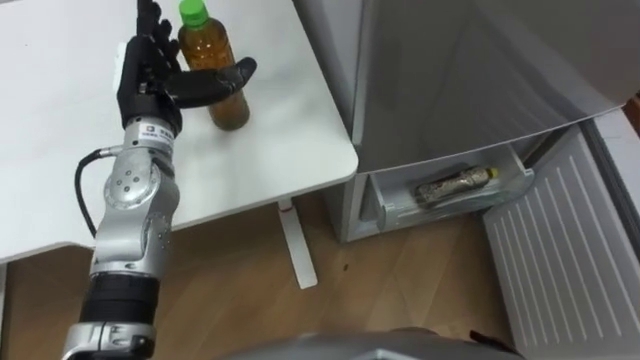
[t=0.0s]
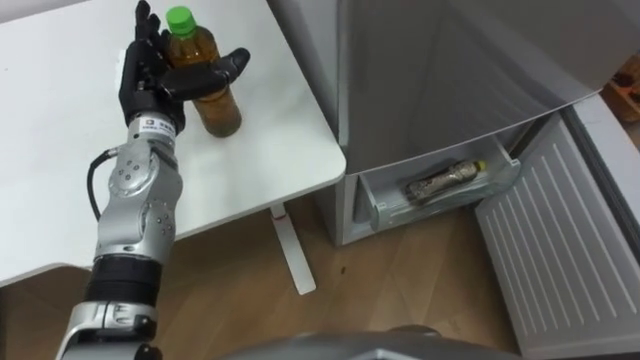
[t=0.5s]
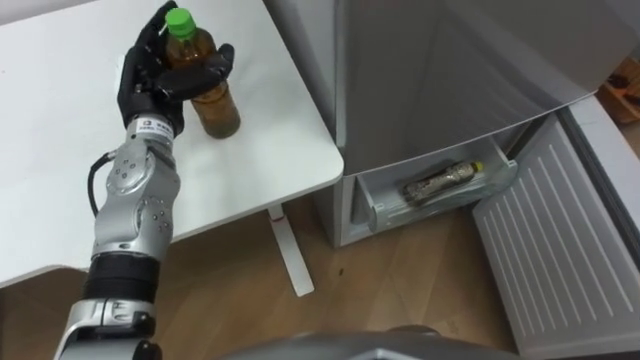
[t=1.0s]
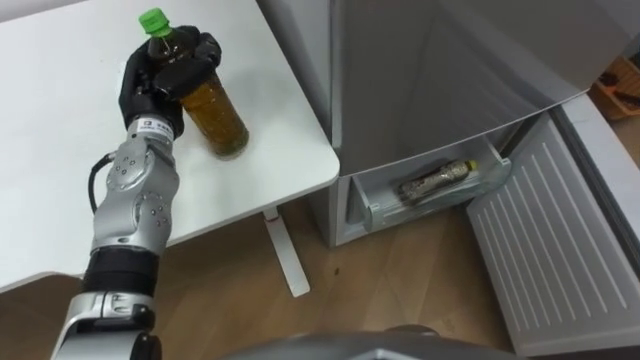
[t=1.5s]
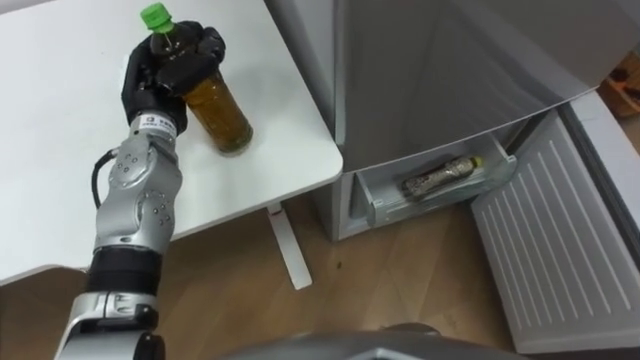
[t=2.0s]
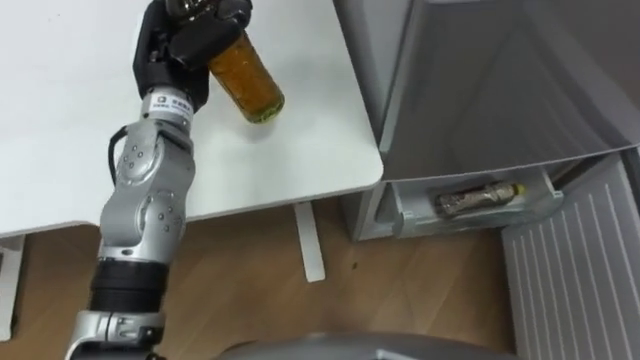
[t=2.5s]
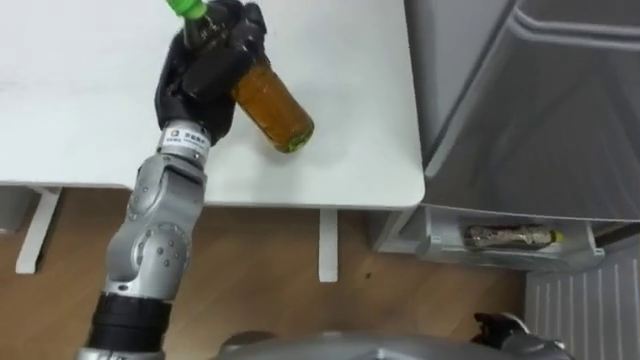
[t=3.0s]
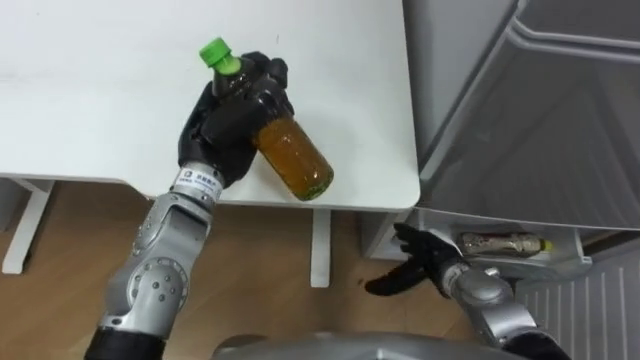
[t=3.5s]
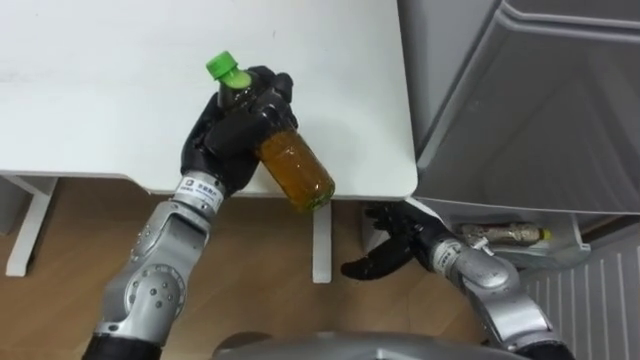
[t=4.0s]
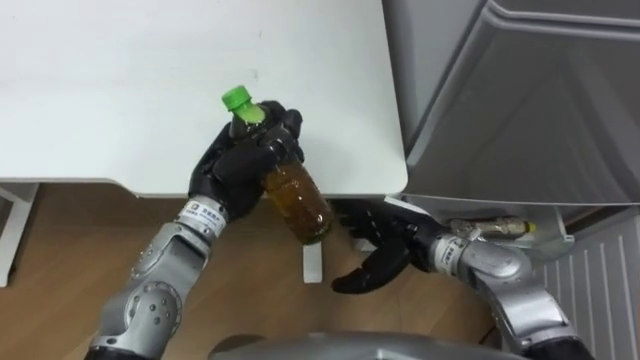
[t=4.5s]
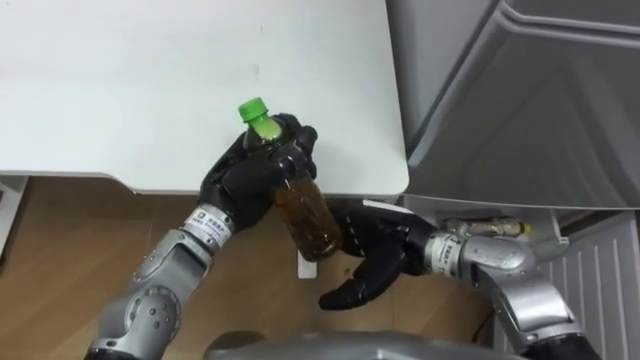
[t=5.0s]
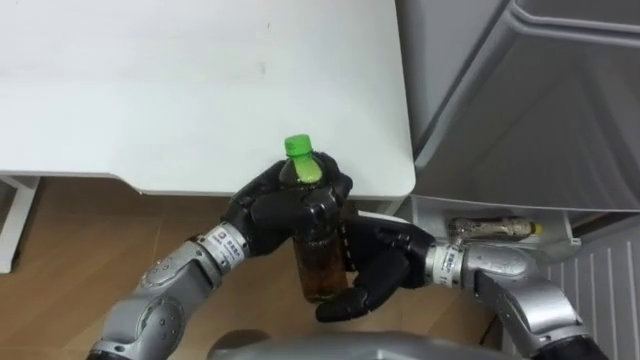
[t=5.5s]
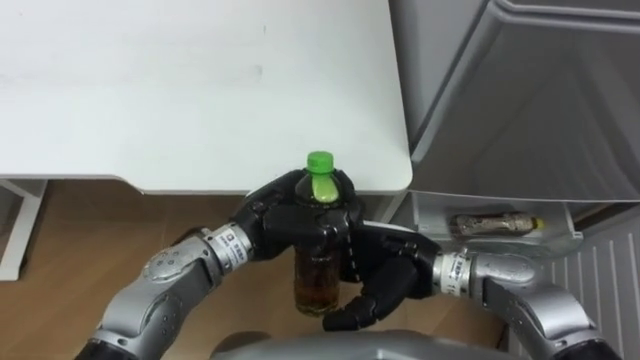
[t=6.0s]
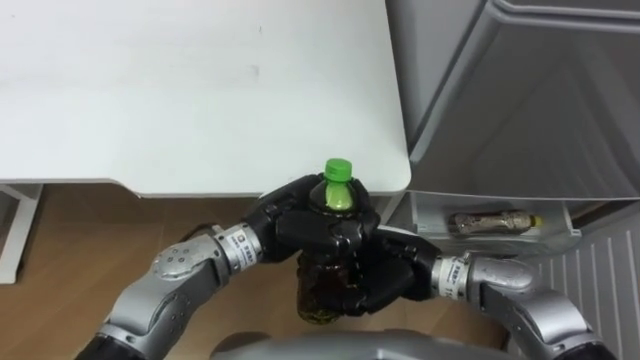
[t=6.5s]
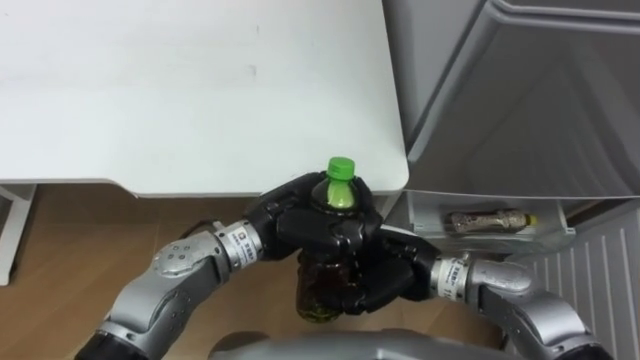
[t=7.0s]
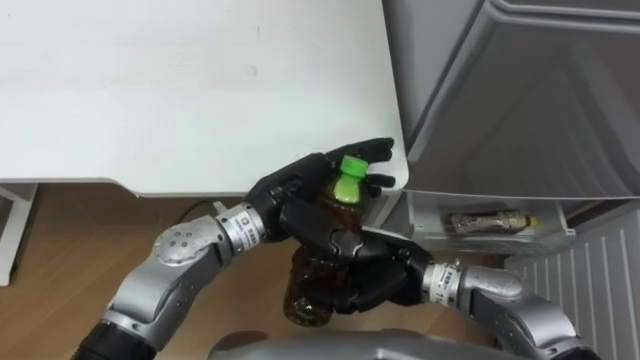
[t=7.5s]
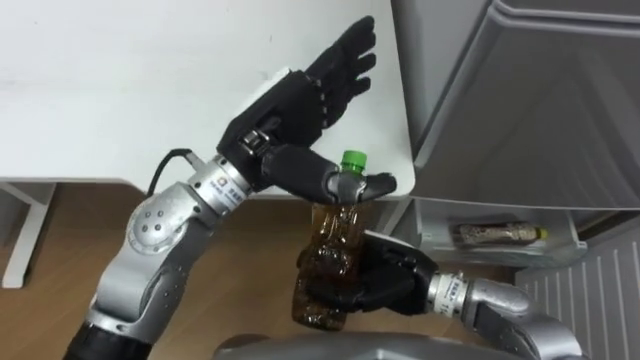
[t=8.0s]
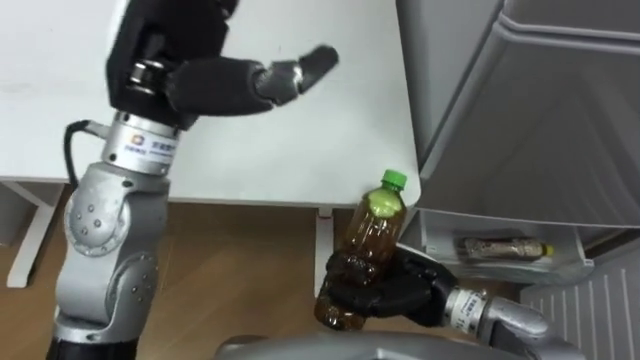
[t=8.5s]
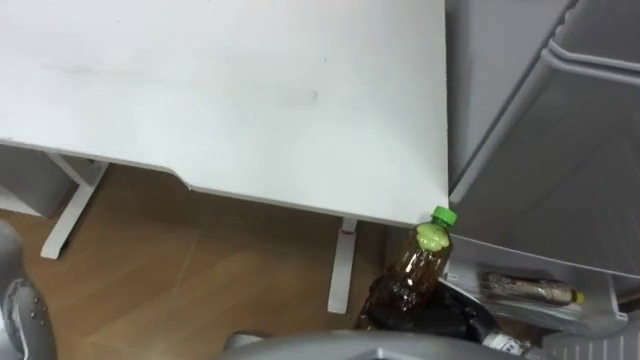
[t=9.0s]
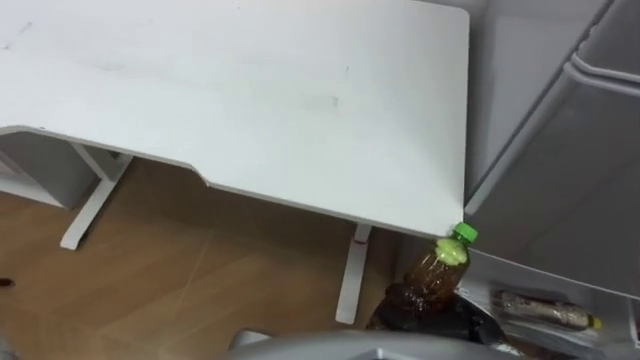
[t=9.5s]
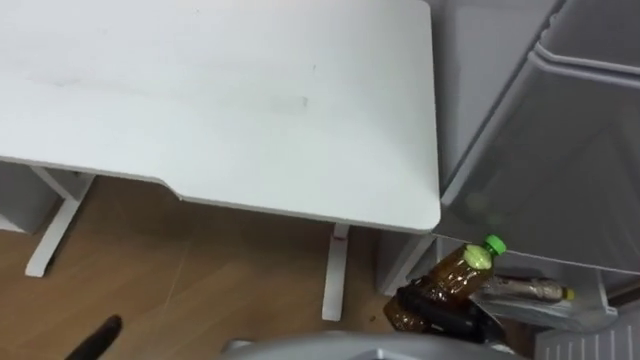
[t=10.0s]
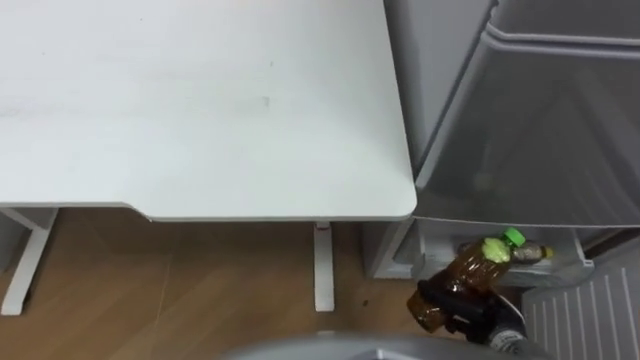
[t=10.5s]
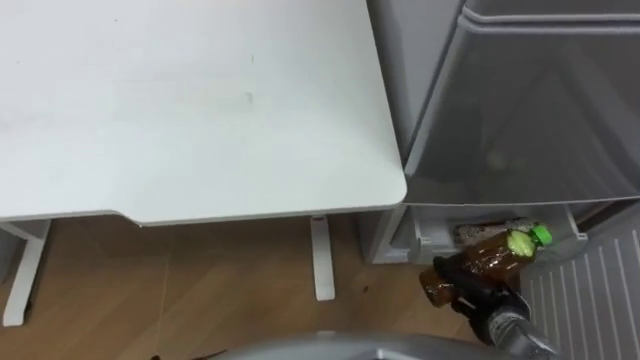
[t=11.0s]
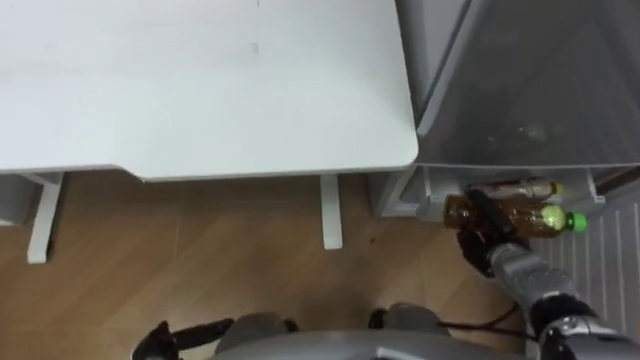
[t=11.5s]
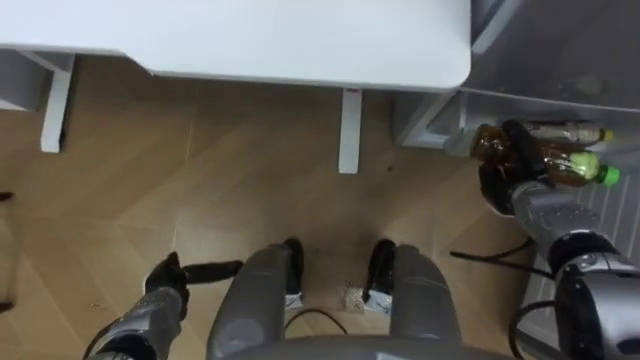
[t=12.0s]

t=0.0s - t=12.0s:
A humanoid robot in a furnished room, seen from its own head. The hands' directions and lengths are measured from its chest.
Task of the whole recording: Place the drink on the table on the bottom shelf of the refrigerator, then close the drawer and the refrigerator door.
t=0.0s - t=2.0s: The left hand closes up.
t=2.0s - t=4.0s: The left hand goes approximately 10 cm to the right and backward.
t=4.0s - t=6.0s: The right hand moves upward and to the left, some 5 cm; the left hand heads backward, to the right and downward, covering approximately 10 cm.
t=6.0s - t=8.0s: The right hand closes up. Meanwhile the left hand heads upward, covering roughly 10 cm, and opens up.
t=8.0s - t=10.0s: The right hand shifts about 20 cm to the right, downward and backward.
t=10.0s - t=12.0s: The right hand is displaced forward and to the right by approximately 20 cm.

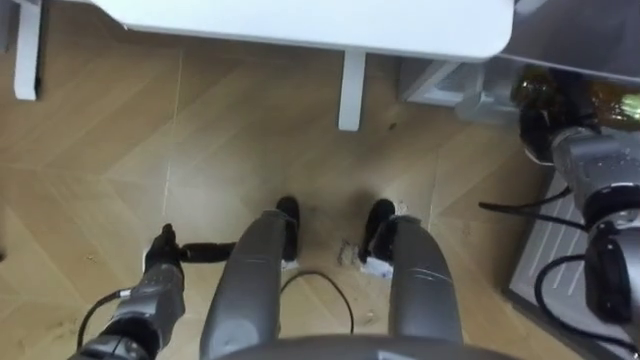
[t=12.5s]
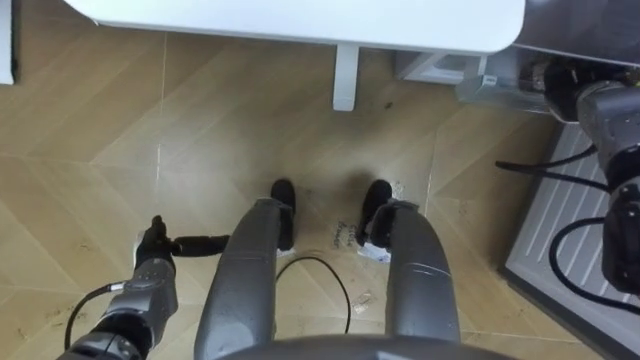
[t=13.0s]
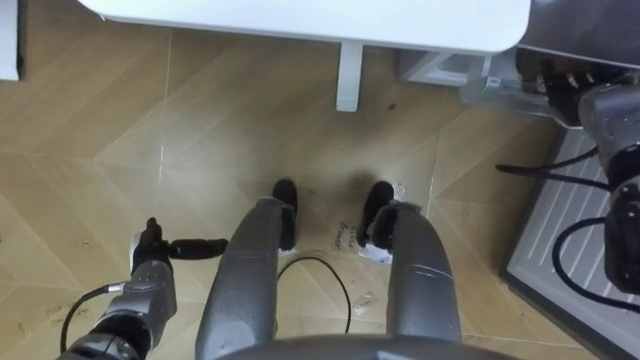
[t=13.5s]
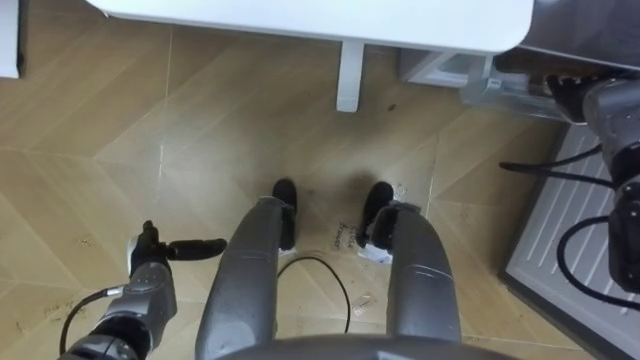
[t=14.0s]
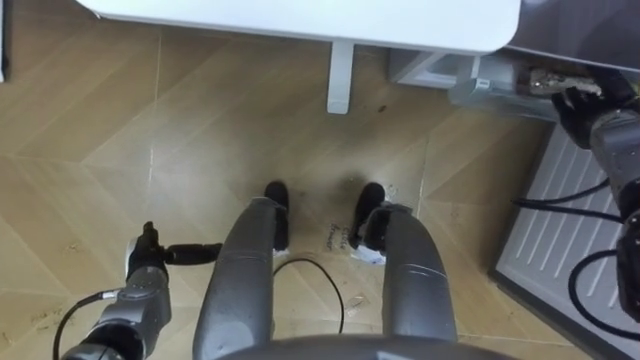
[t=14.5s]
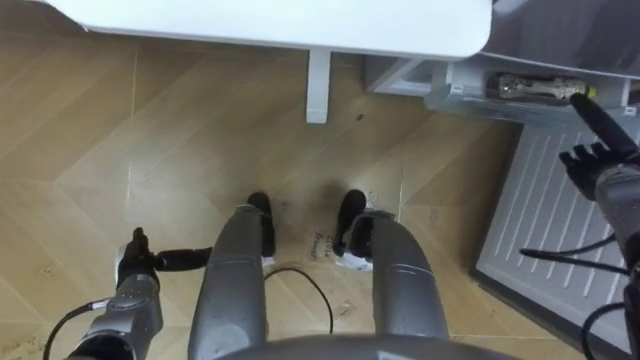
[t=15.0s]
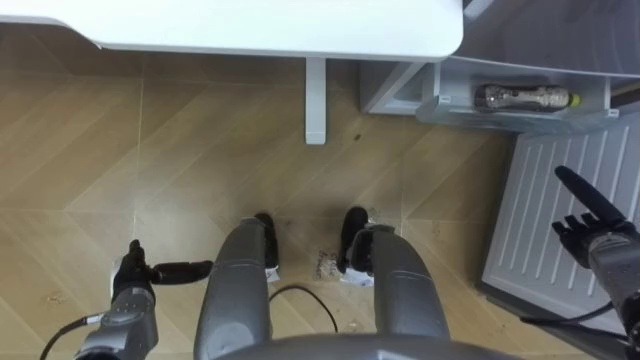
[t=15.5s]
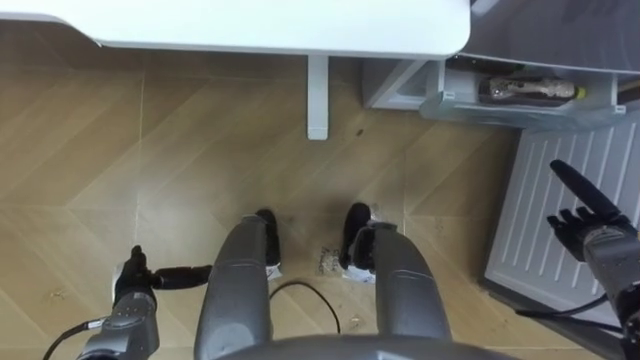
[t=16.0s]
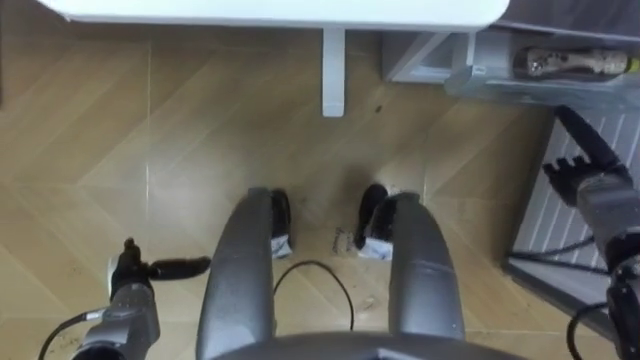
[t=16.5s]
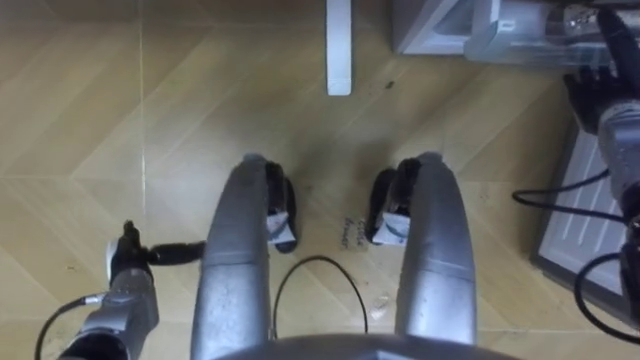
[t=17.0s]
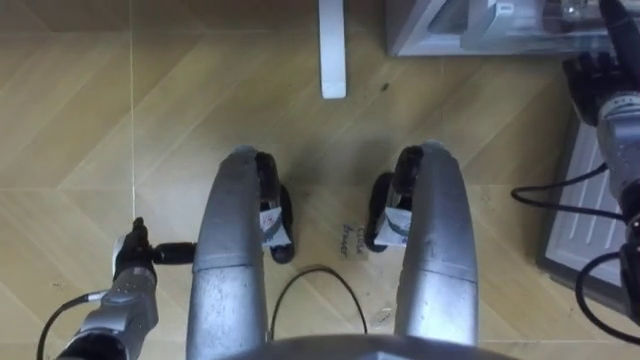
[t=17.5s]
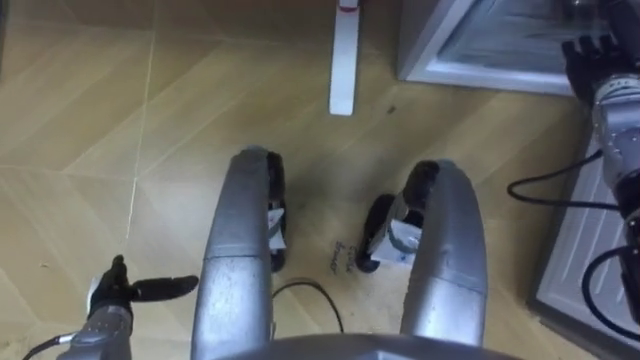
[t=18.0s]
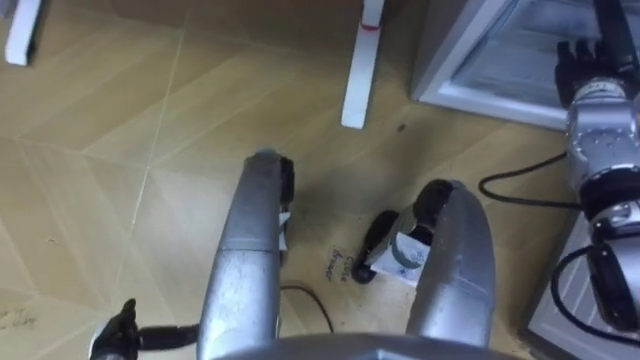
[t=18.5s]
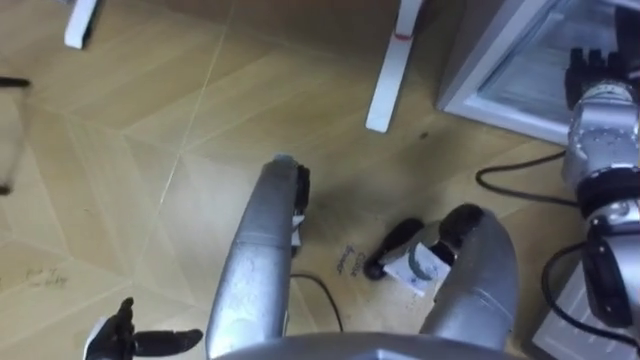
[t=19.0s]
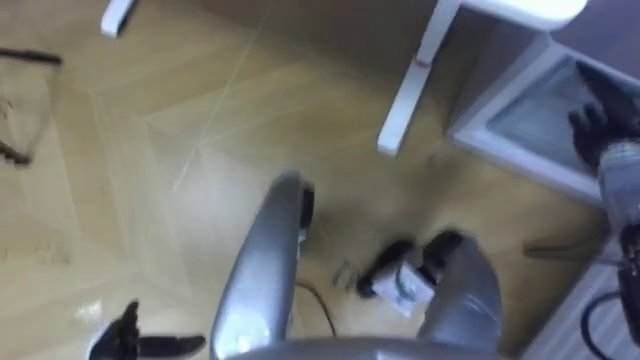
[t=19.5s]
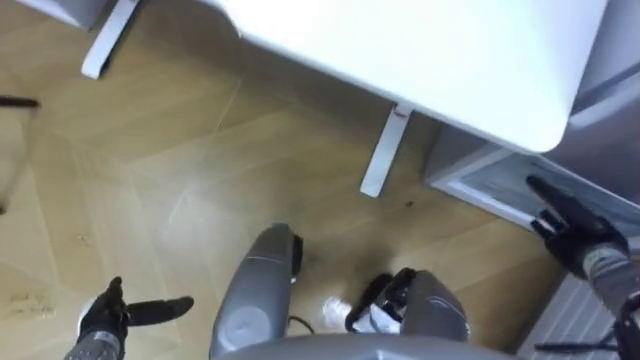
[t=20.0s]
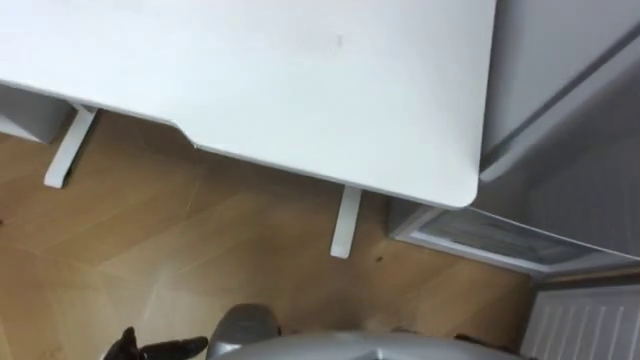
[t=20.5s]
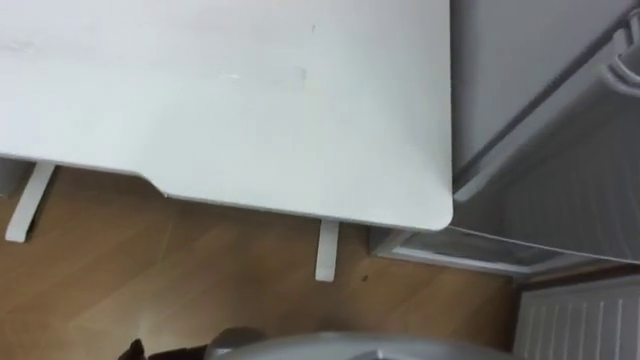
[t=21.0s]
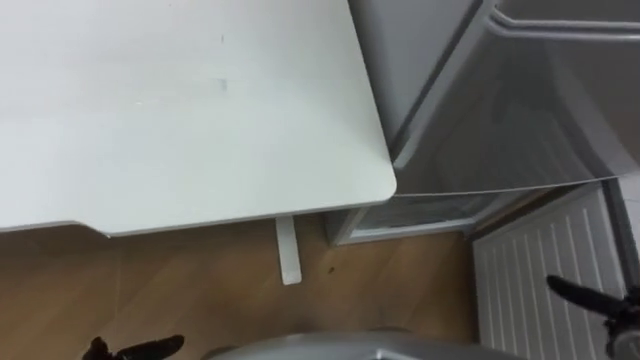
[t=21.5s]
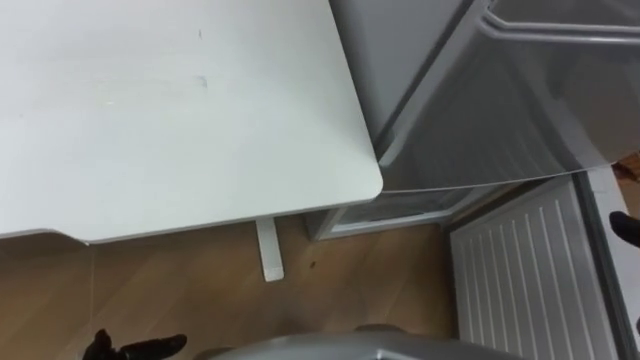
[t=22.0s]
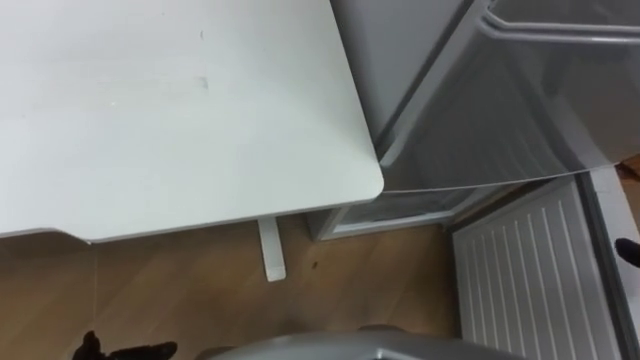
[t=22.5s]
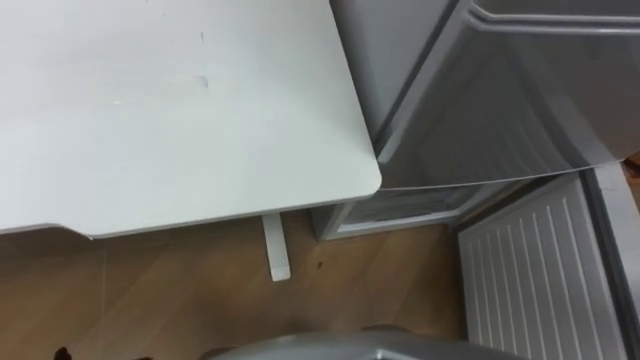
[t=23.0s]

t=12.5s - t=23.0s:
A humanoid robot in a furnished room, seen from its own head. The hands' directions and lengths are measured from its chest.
Task of the whole recording: Place the drink on the table on the bottom shelf of the refrigerator, then close the drawer and the refrigerator door.
t=12.5s - t=14.5s: The right hand shifts by about 5 cm, and opens.
t=14.5s - t=16.5s: The right hand goes about 10 cm backward and downward.
t=16.5s - t=19.0s: The left hand is displaced backward by roughly 10 cm. The right hand is displaced upward and forward by approximately 15 cm.
